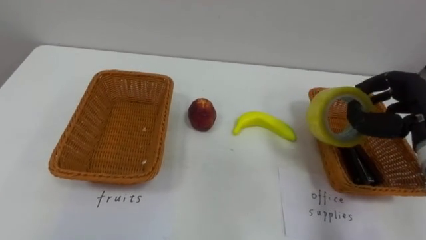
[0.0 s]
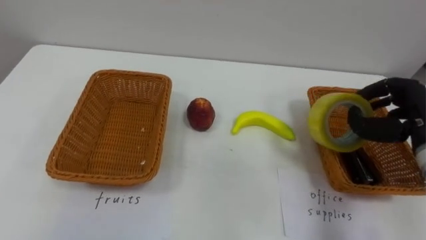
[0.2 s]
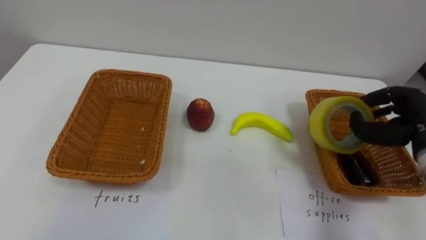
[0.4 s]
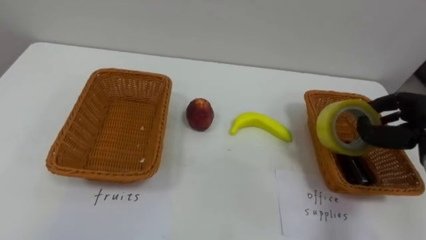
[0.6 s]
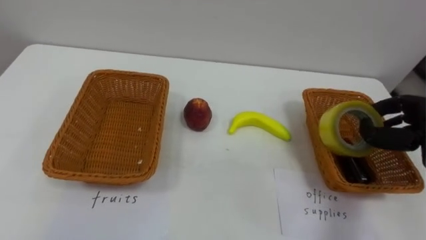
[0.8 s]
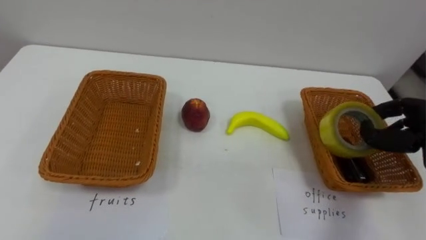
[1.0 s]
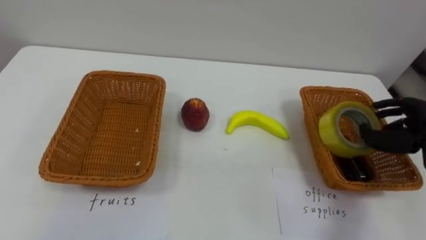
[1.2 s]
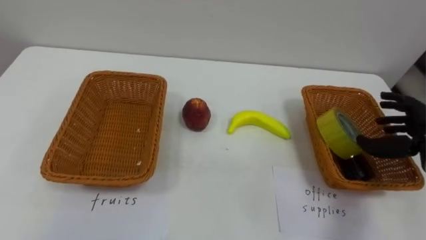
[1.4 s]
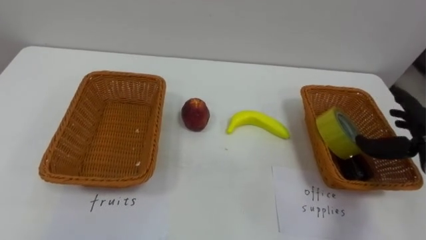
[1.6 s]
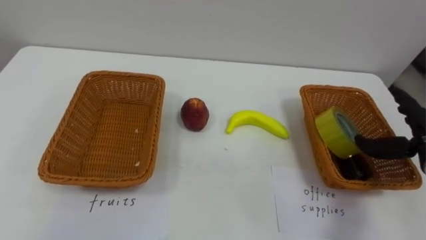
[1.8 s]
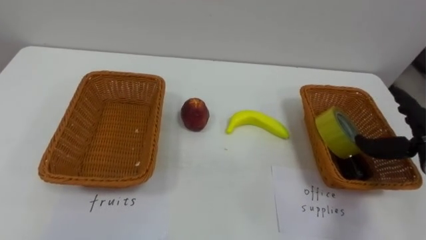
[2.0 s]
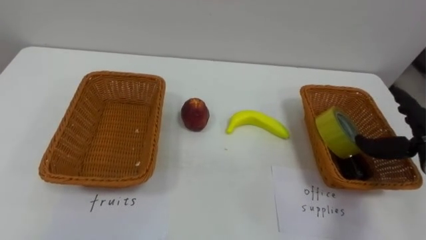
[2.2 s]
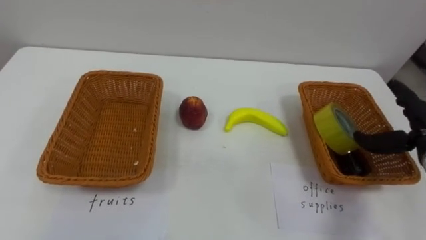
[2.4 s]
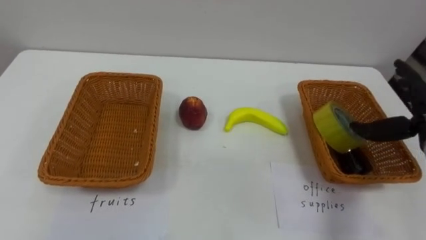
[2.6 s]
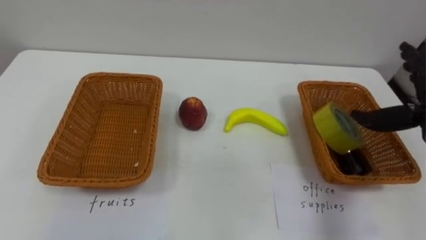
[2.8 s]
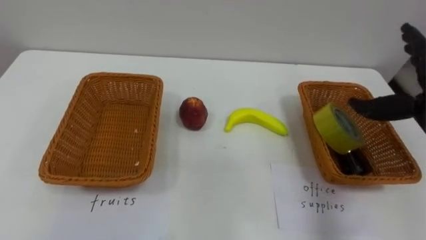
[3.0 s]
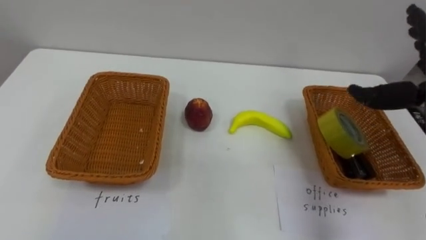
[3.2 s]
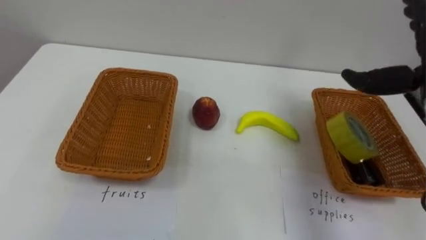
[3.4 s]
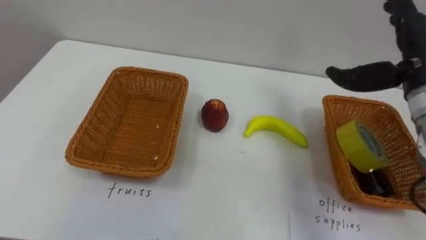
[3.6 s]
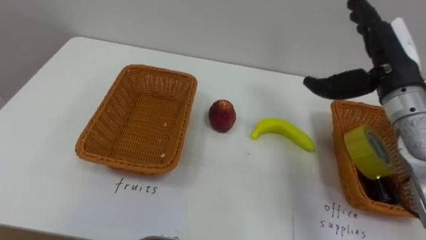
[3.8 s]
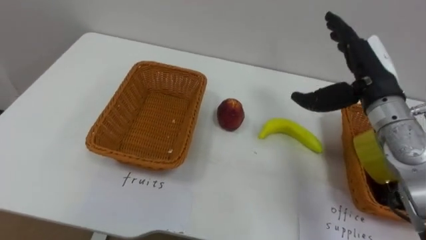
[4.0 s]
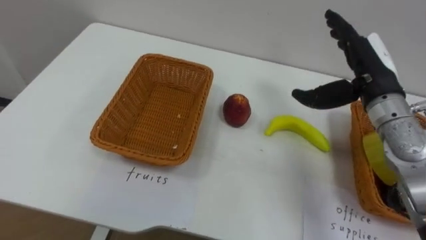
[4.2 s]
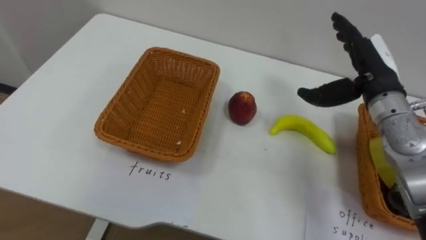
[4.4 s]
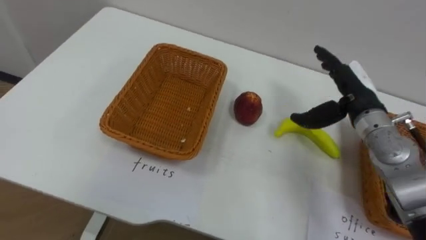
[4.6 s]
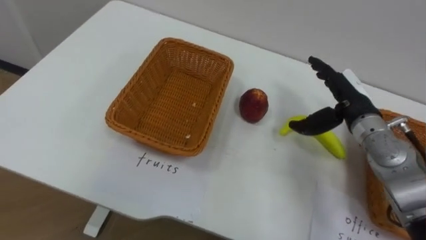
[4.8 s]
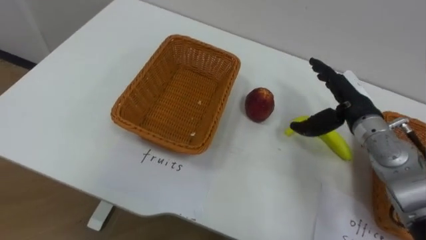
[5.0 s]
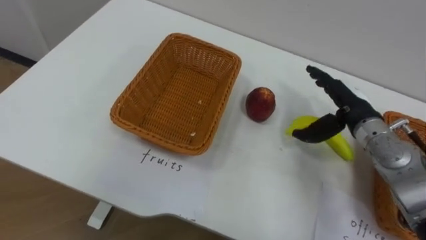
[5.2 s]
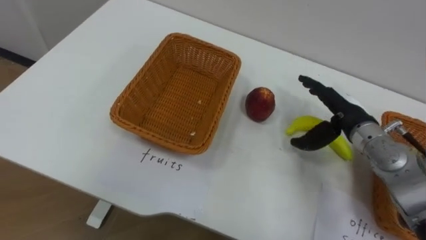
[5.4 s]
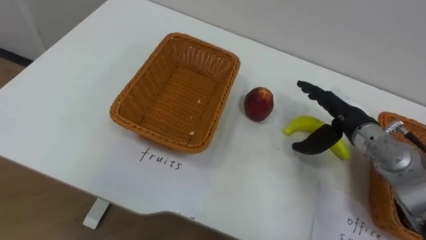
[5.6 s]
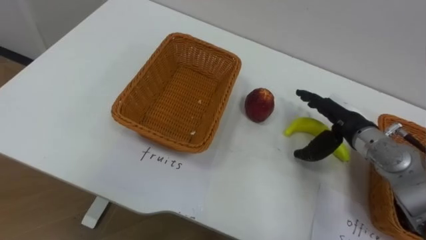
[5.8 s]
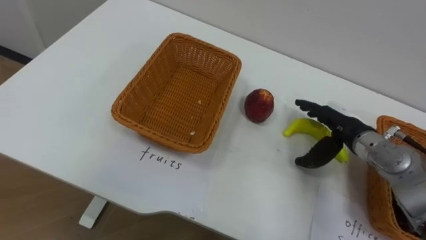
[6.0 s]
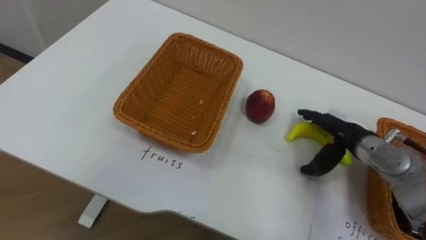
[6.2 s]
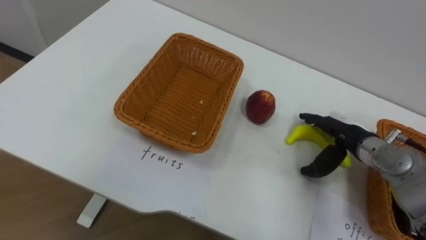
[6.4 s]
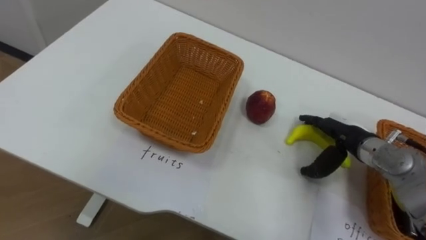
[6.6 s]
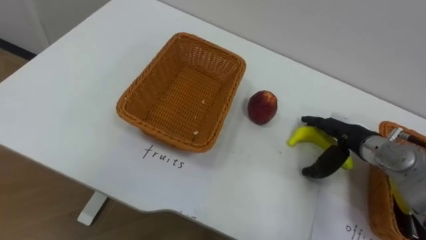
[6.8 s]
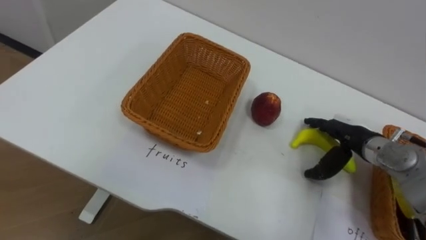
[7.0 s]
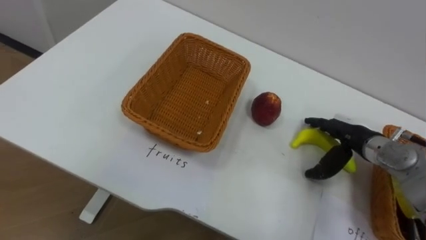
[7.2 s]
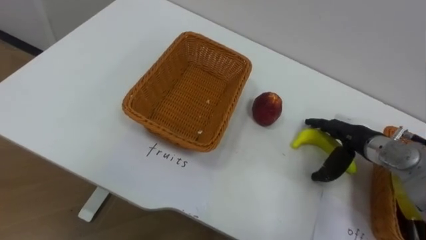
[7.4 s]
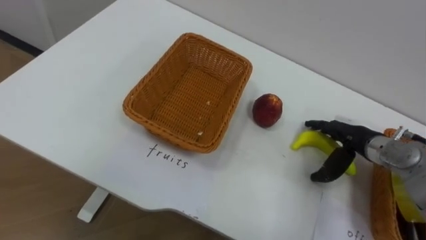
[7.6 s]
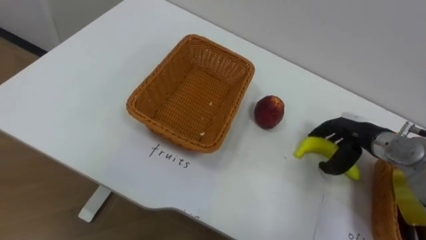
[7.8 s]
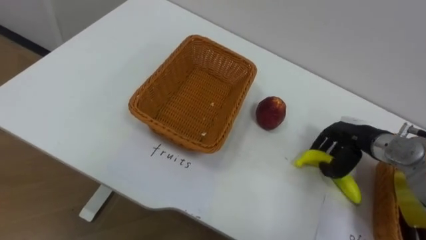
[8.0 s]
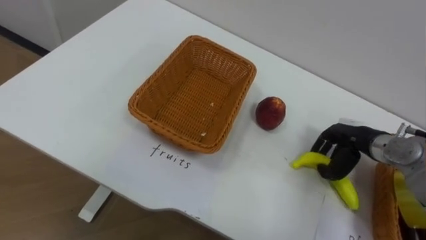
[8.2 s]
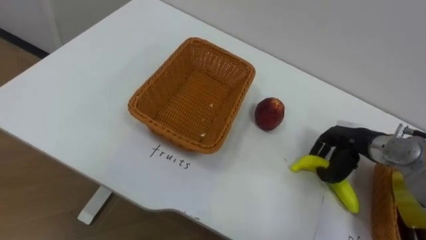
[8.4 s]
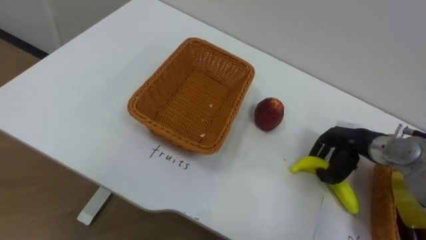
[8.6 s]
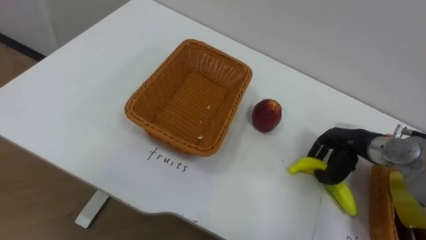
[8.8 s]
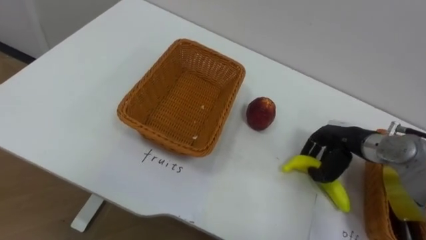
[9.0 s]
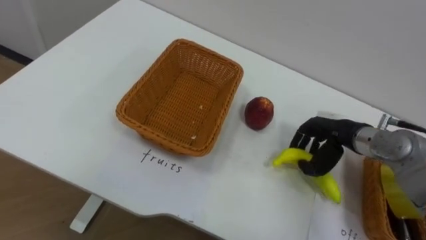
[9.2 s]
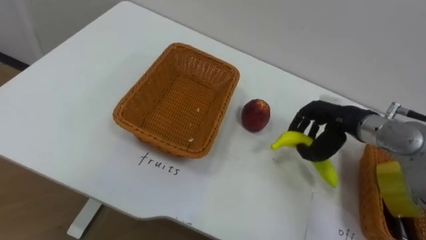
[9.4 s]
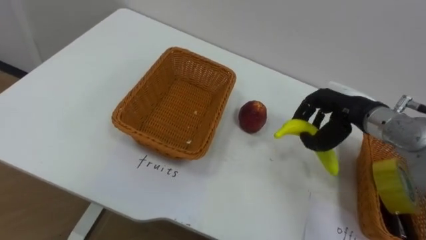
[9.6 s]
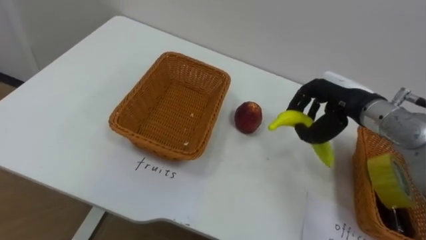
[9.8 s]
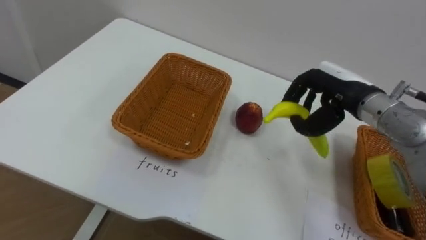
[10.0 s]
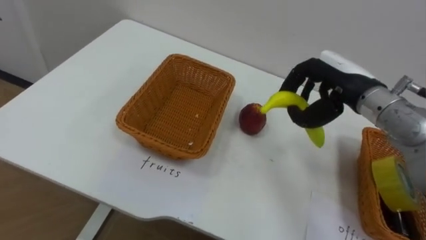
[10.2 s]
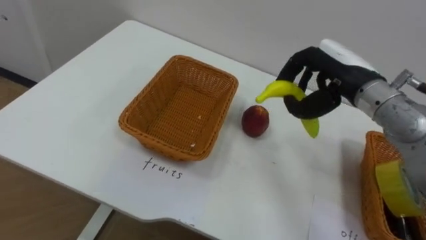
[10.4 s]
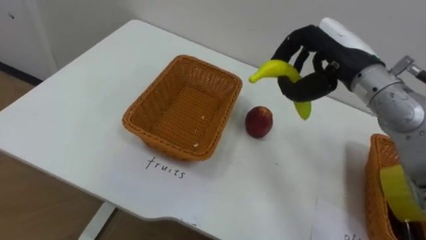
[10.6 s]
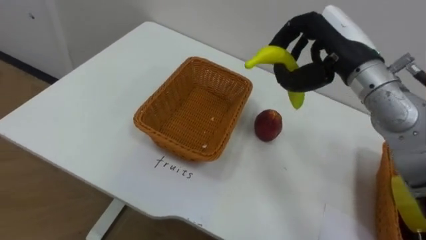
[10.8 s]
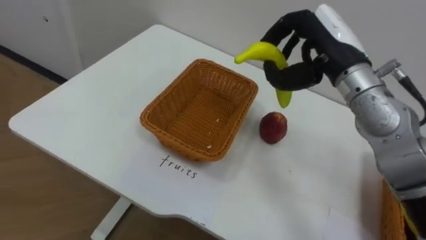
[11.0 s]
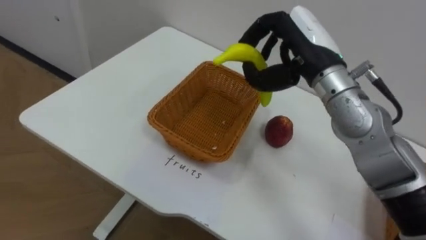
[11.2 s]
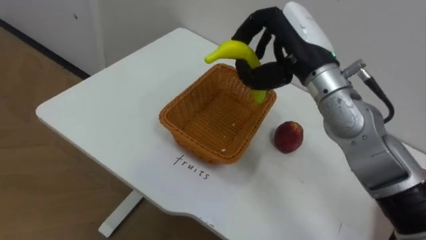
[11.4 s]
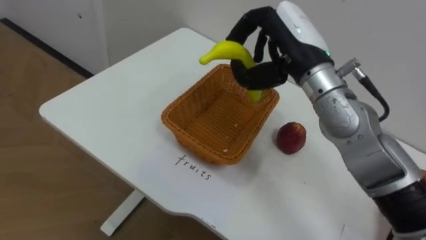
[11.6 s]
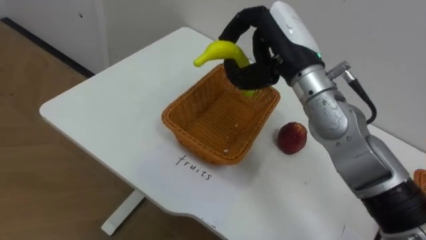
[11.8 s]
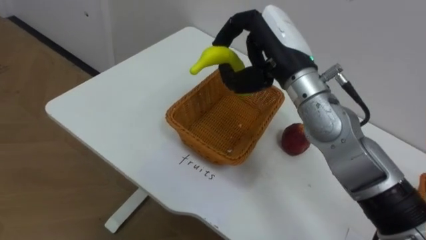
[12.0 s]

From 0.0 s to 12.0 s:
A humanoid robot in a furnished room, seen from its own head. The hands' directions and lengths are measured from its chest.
Task of the whole recording: Separate the items on the table and place them into the two baskets.
From 4.4 s to 6.0 s: The right hand is displaced downward by some 10 cm.
From 7.6 s to 9.0 s: The right hand closes its fingers.
From 9.0 s to 10.4 s: The right hand is displaced upward by about 15 cm.
From 10.4 s to 12.0 s: The right hand goes approximately 10 cm to the left.

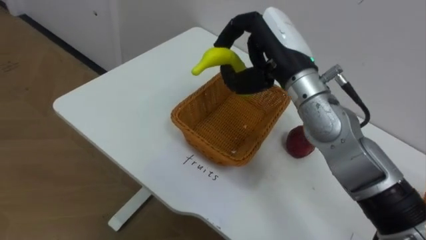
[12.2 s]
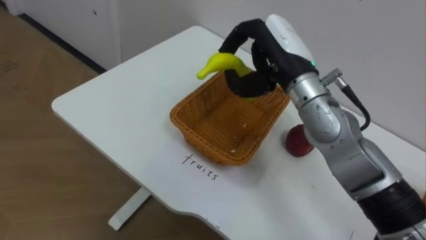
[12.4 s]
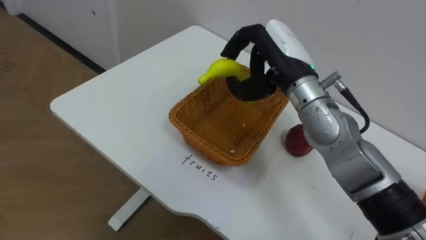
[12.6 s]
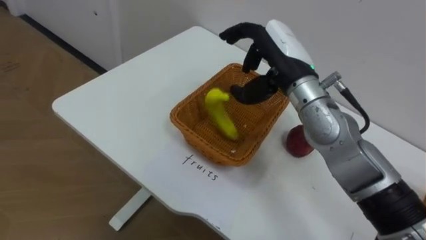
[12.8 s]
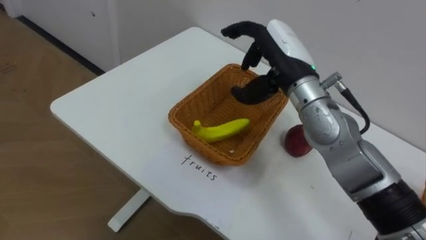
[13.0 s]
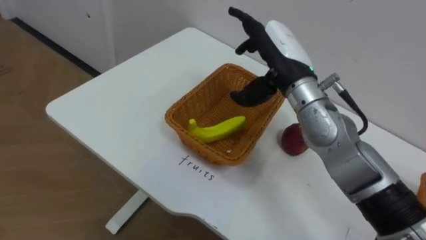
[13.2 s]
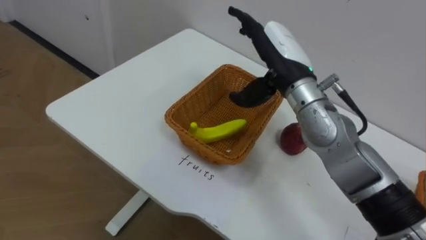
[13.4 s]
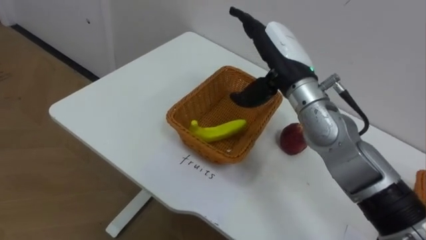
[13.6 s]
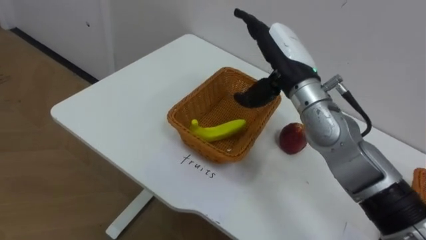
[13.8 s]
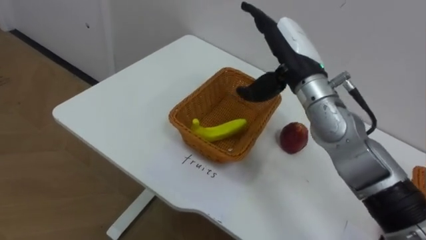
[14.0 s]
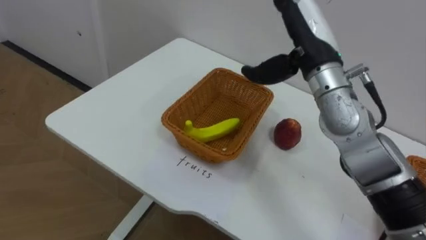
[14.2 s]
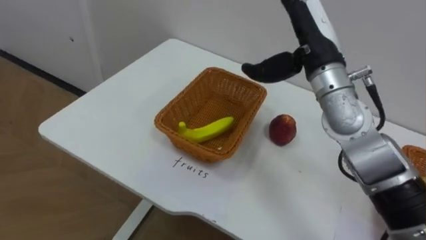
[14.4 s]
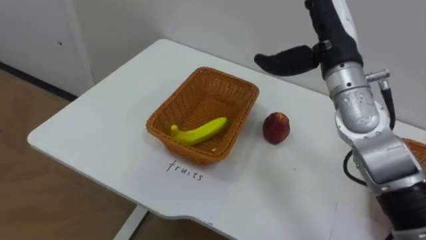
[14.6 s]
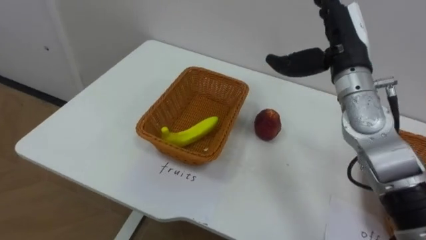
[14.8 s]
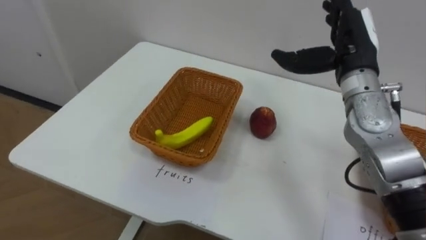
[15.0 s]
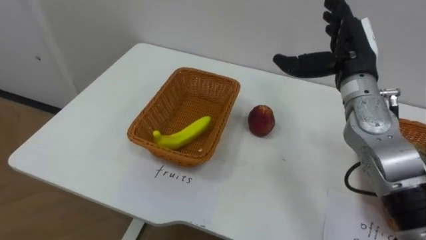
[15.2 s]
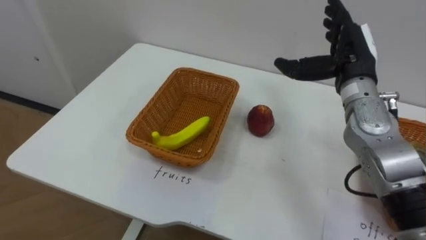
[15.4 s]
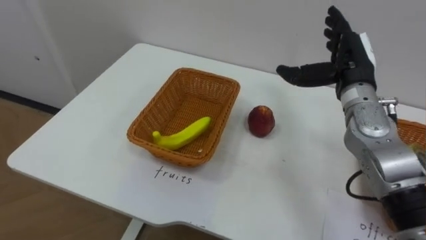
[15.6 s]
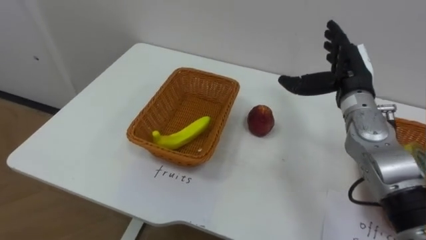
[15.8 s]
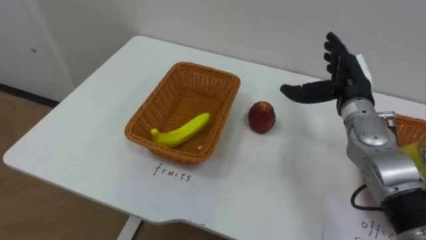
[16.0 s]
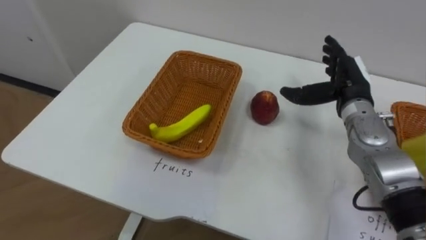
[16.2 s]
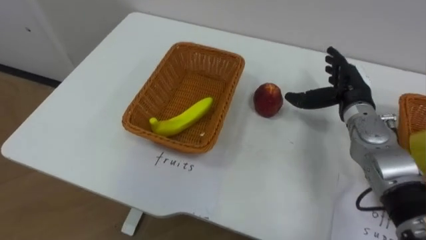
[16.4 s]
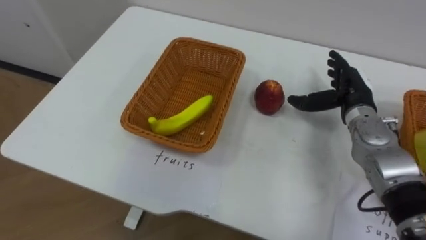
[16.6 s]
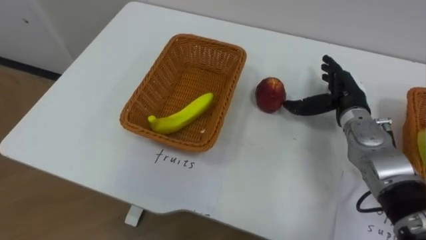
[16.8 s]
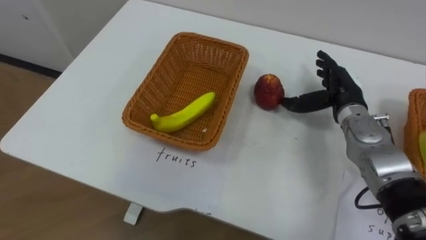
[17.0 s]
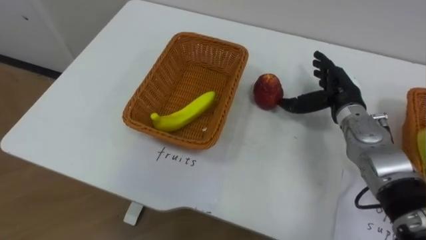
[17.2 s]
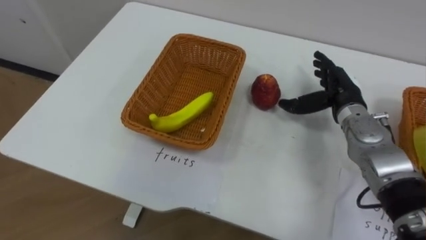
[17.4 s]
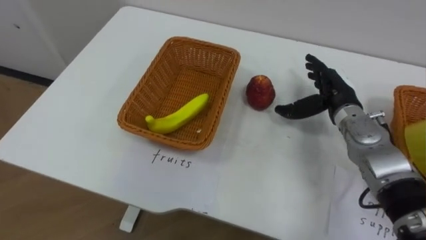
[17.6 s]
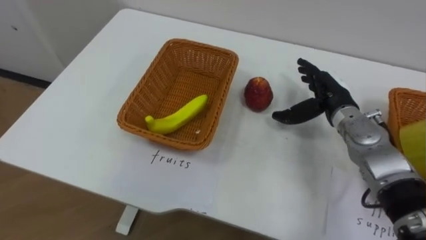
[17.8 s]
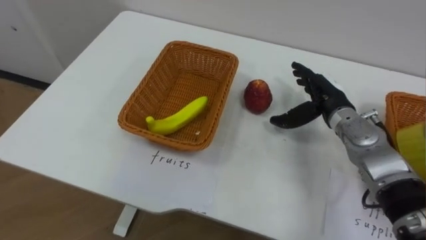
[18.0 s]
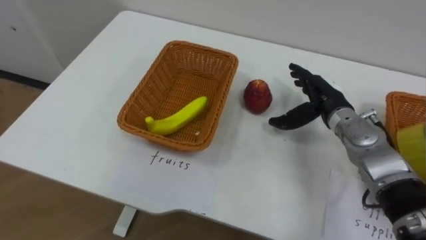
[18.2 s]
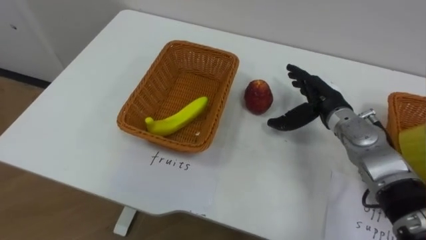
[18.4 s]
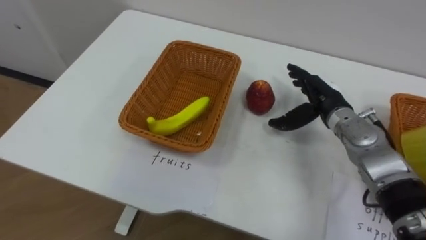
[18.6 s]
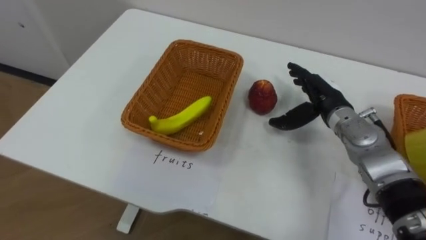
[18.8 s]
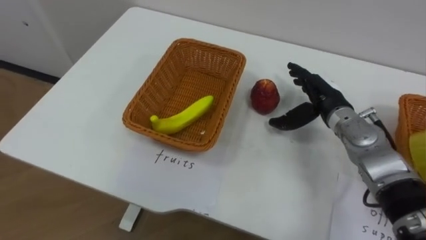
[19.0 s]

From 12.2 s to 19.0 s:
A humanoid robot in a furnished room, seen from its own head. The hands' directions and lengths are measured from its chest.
Task of the whole recording: Separate the items on the table and place them into the two baskets.
From 12.2 s to 13.6 s: The right hand opens up.
From 13.6 s to 15.0 s: The right hand goes about 10 cm to the right.
From 15.0 s to 16.2 s: The right hand heads downward, covering approximately 10 cm.
